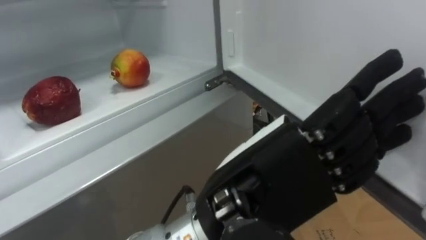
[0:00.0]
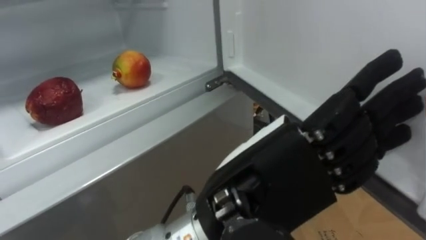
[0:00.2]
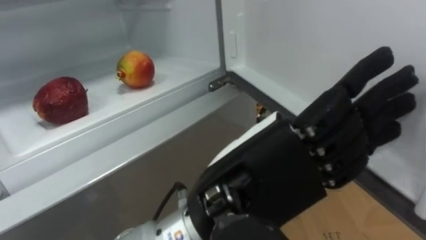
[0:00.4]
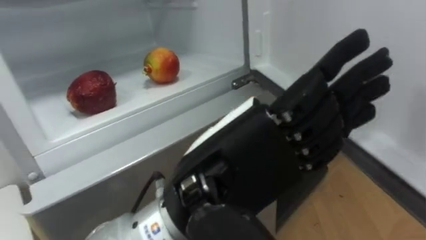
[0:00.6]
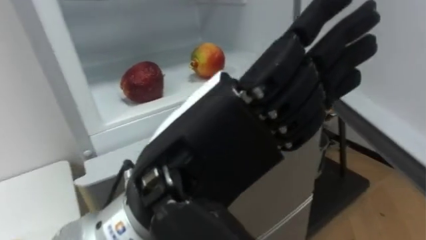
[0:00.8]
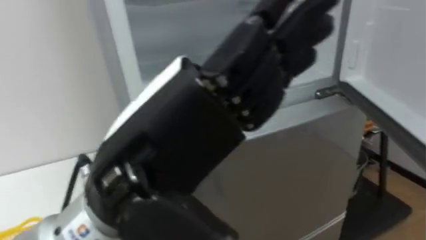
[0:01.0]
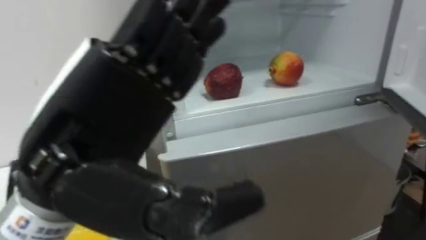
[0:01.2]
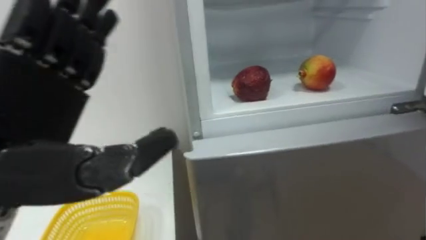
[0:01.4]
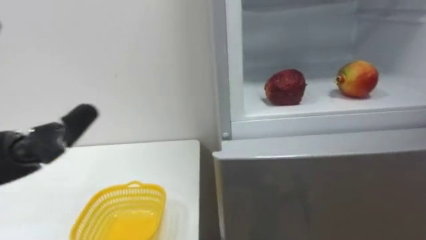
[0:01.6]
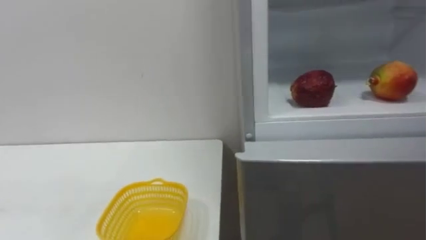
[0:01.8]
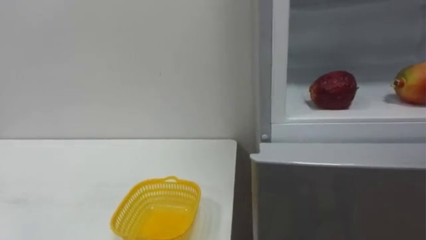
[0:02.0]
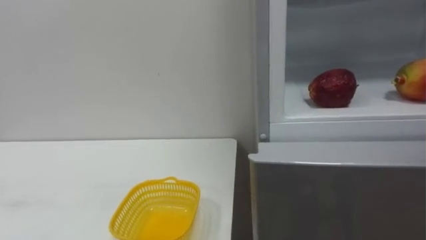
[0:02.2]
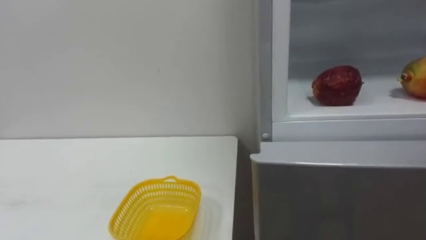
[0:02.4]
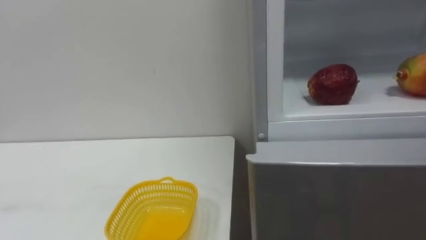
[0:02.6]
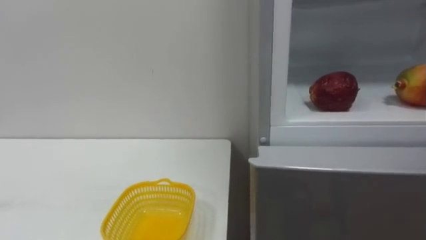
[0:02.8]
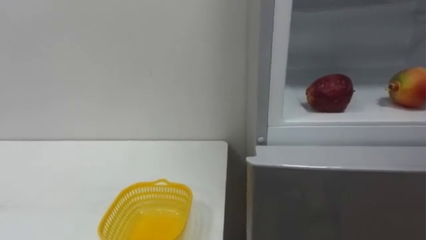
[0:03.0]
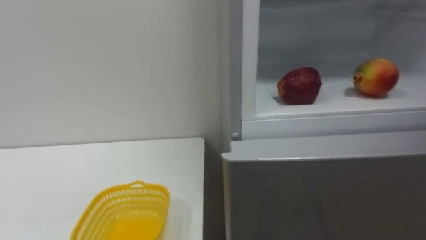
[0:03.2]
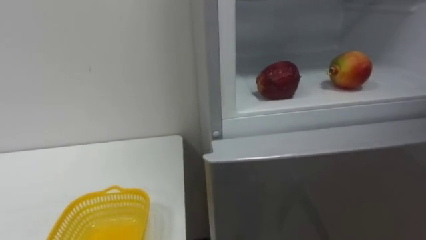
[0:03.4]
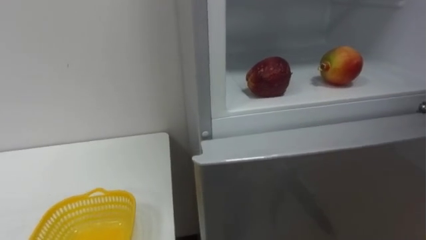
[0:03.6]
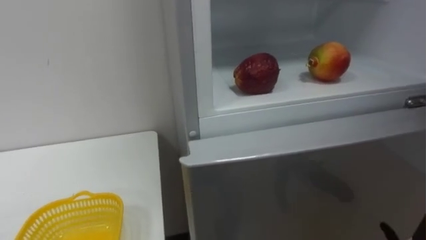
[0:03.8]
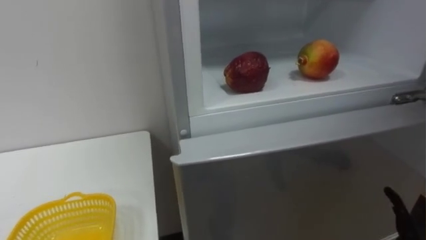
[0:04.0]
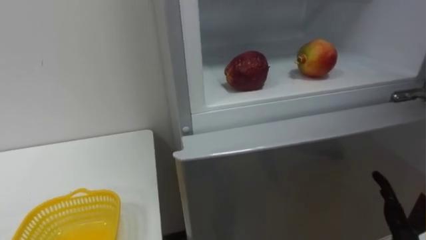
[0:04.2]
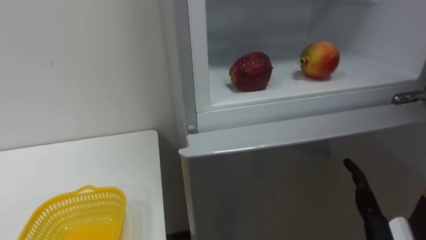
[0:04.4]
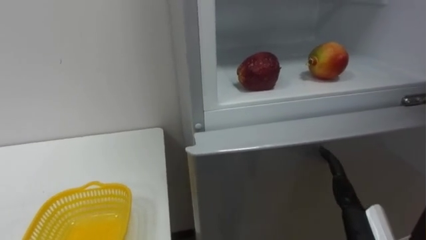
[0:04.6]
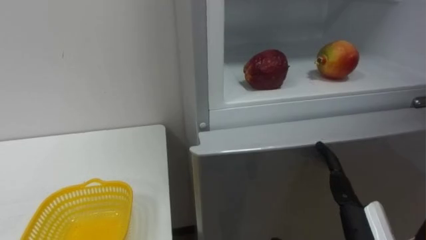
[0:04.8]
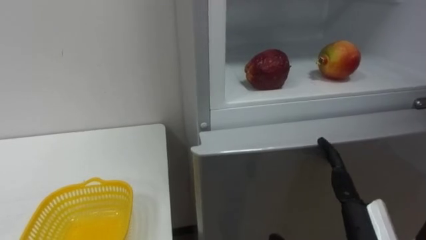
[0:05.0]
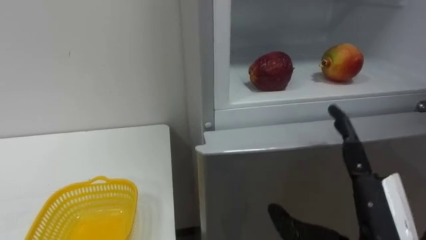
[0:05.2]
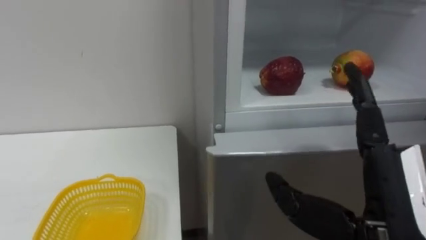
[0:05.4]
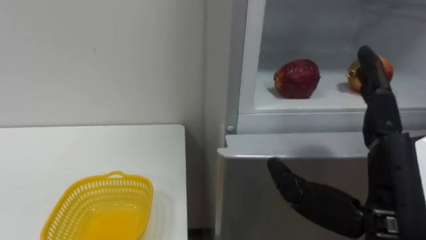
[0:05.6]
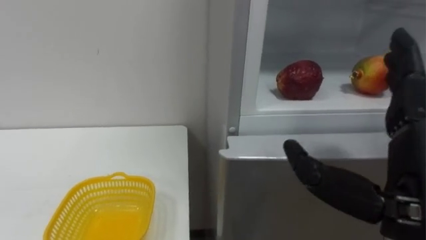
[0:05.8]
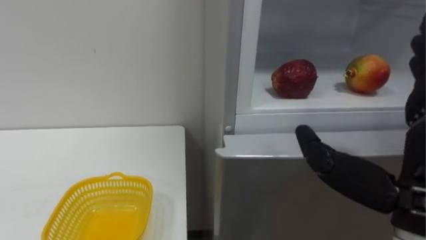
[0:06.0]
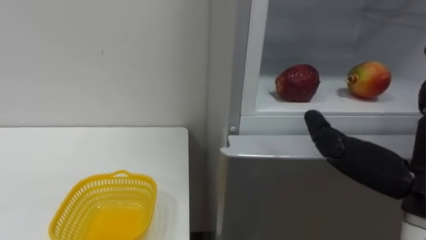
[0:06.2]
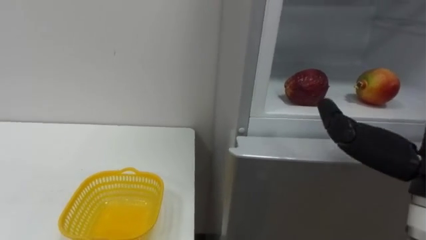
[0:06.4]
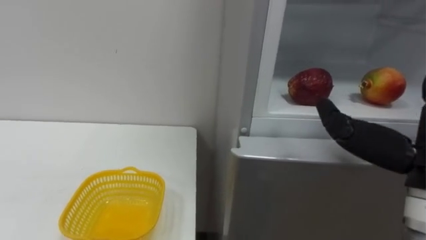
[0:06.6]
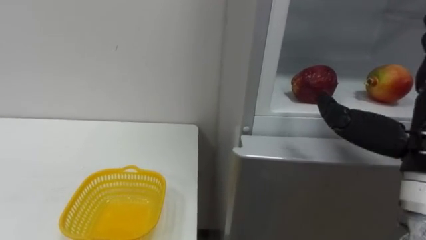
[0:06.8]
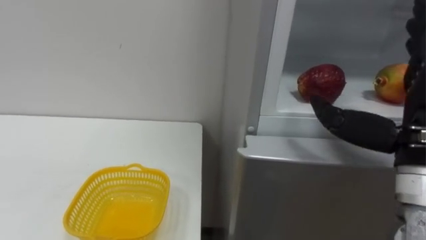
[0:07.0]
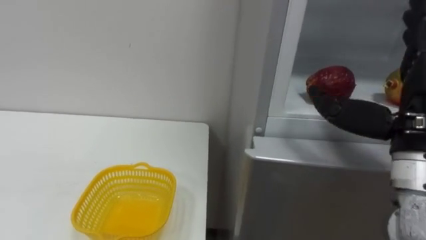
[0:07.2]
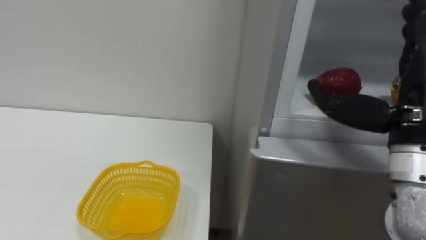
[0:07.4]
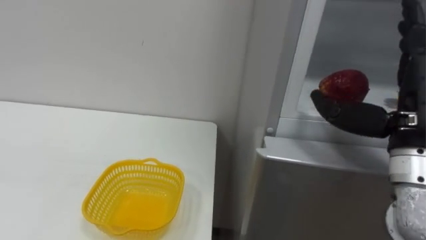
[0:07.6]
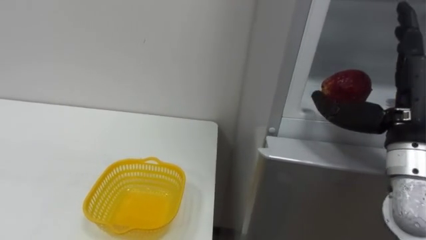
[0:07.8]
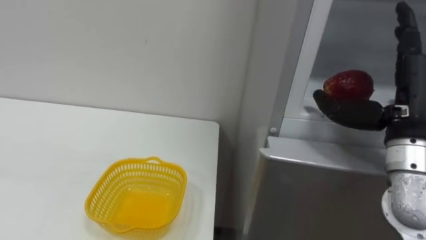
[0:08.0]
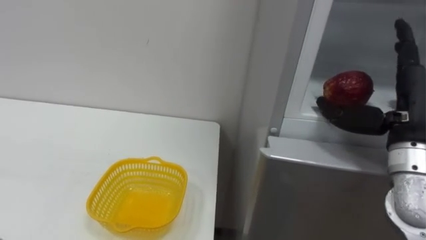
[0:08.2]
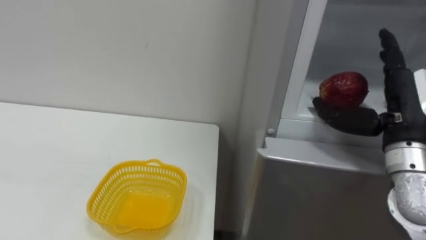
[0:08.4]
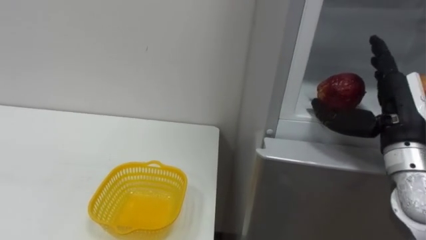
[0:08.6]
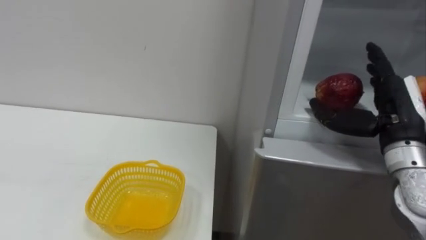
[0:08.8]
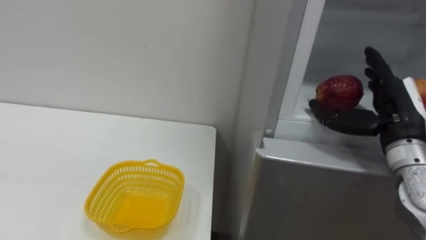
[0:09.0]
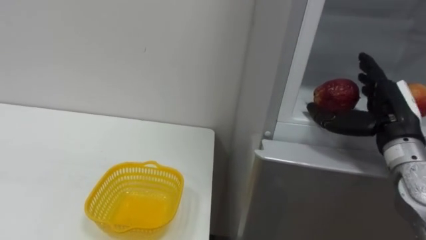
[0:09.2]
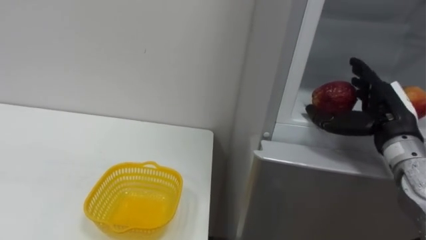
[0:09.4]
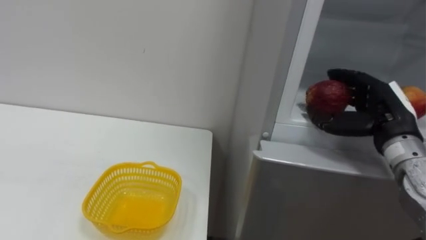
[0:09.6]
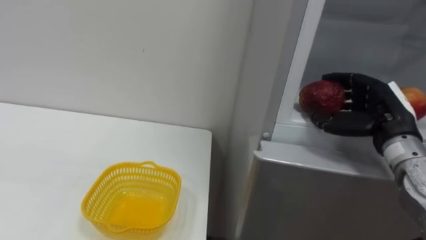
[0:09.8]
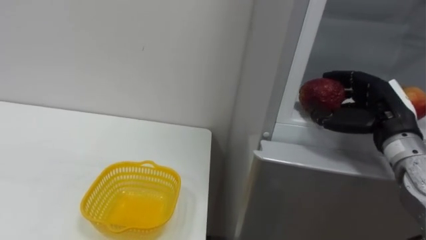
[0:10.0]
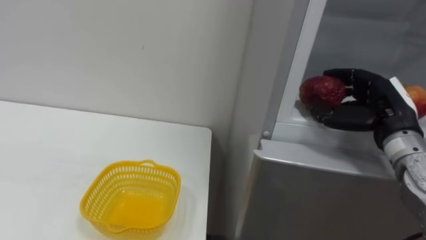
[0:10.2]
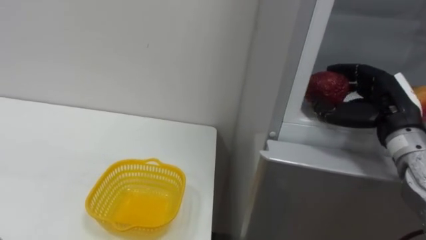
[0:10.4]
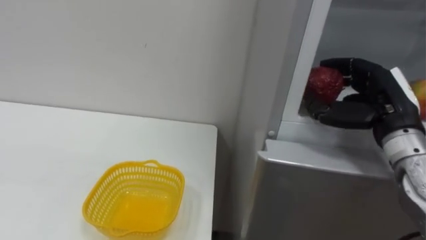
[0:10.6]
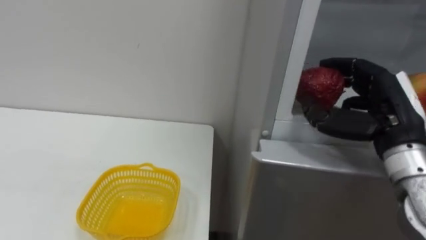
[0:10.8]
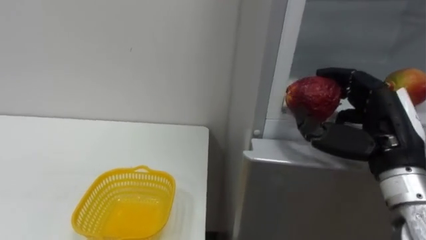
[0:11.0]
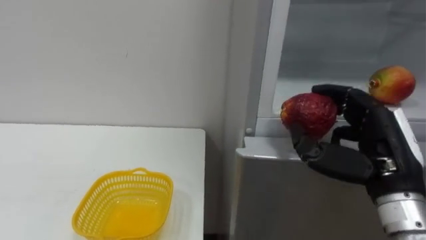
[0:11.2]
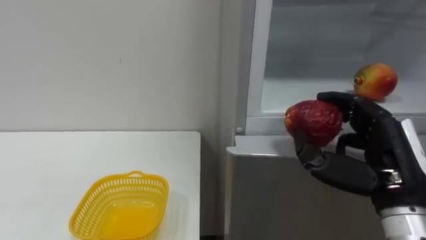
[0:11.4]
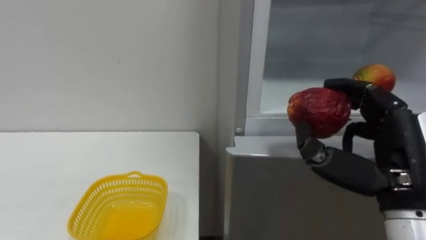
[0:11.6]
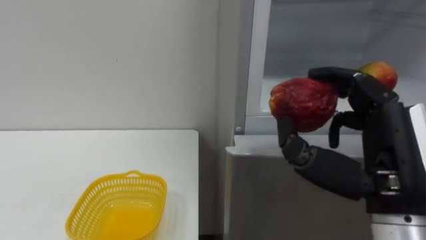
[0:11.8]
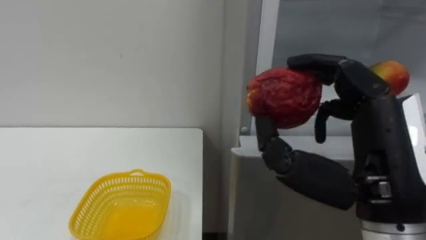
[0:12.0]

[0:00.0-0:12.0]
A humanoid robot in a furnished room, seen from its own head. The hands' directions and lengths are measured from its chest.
Task of the whole recording: Open the refrigerator door, take out the apple and the pomegranate, place them in the fruit basket on the left, and close the refrigerator door.
0:07.6 to 0:09.0: The right hand moves forward, roughly 5 cm.
0:09.0 to 0:10.4: The right hand closes up.
0:10.4 to 0:12.0: The right hand is displaced backward and to the left by approximately 20 cm.

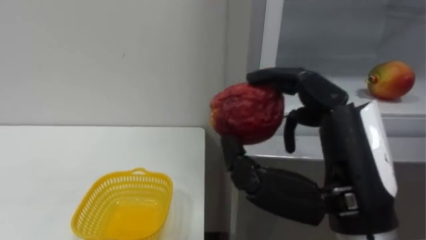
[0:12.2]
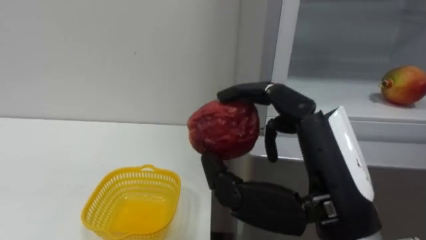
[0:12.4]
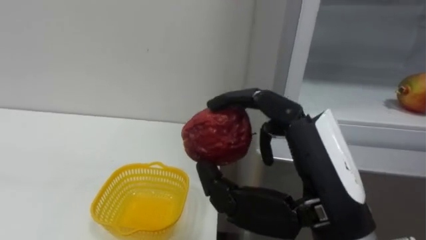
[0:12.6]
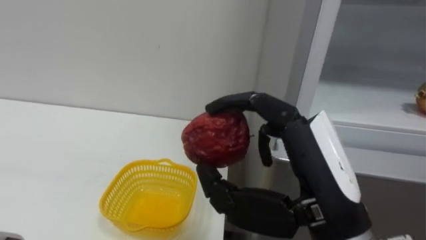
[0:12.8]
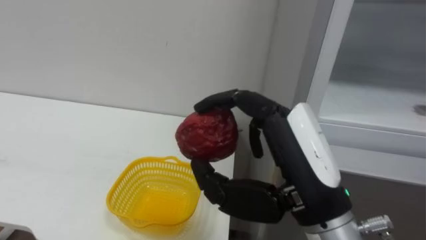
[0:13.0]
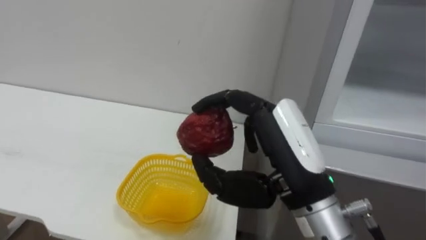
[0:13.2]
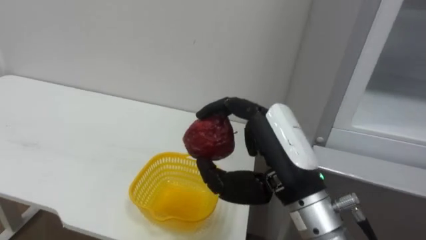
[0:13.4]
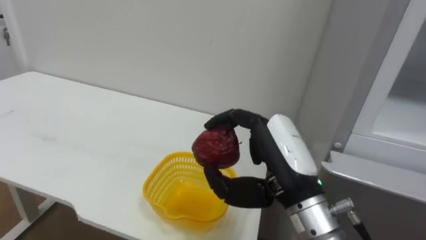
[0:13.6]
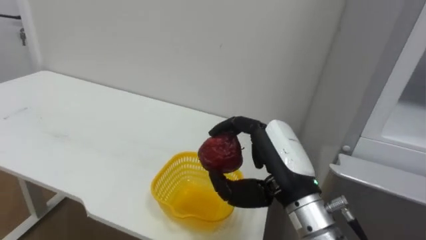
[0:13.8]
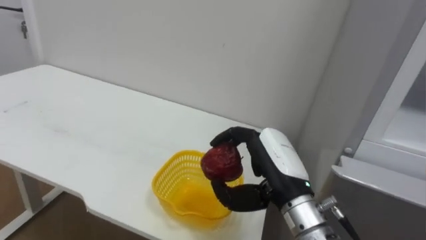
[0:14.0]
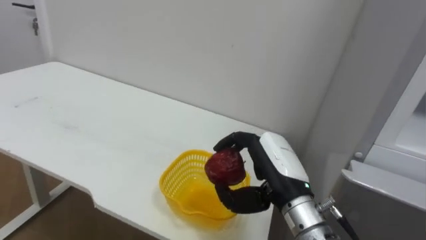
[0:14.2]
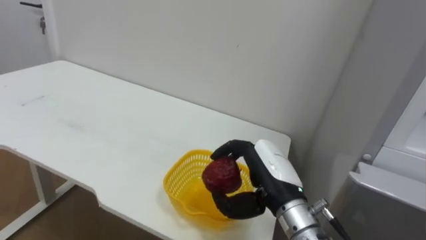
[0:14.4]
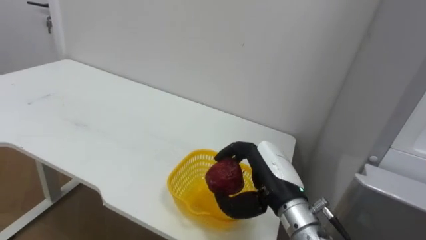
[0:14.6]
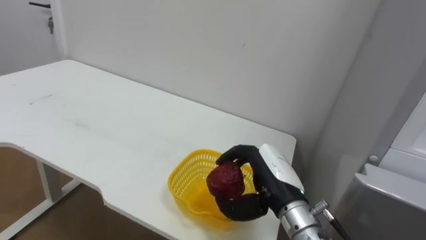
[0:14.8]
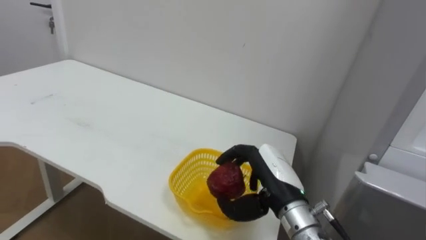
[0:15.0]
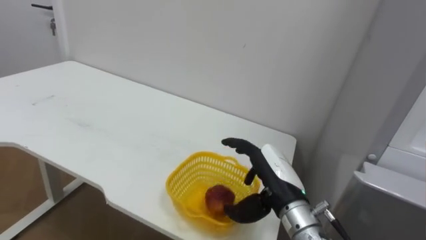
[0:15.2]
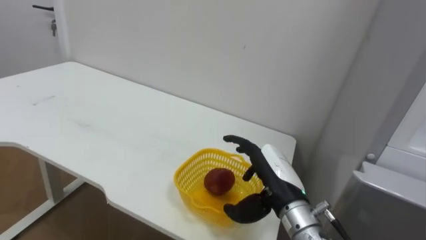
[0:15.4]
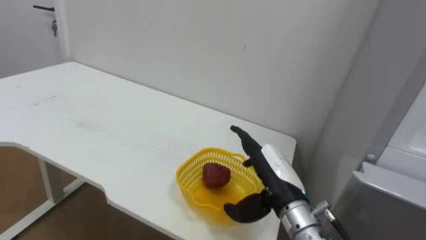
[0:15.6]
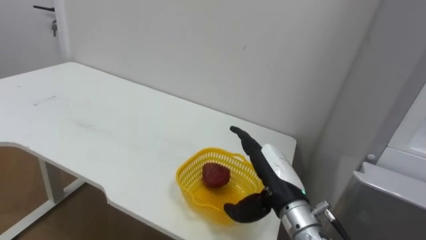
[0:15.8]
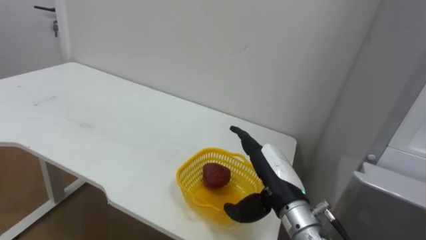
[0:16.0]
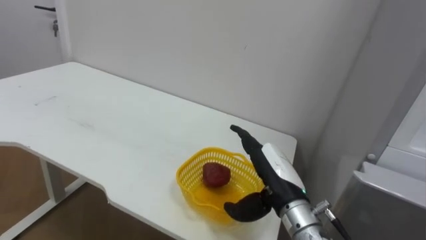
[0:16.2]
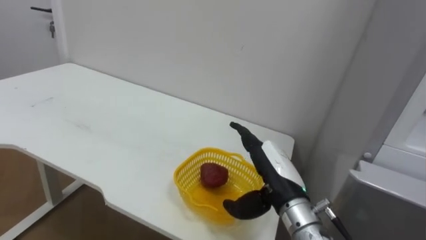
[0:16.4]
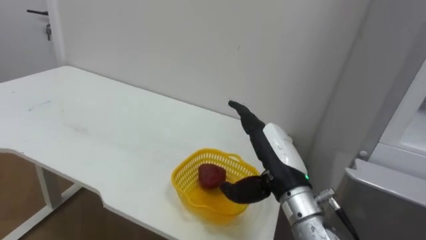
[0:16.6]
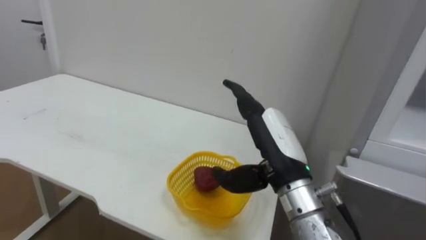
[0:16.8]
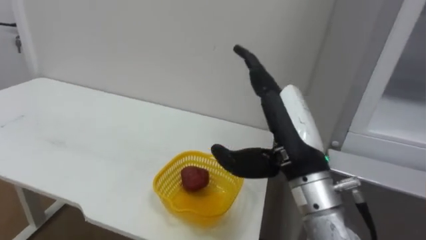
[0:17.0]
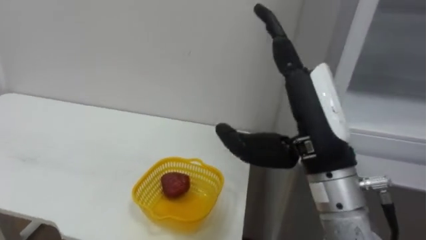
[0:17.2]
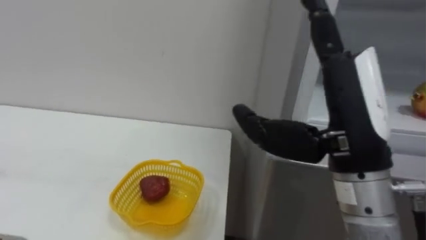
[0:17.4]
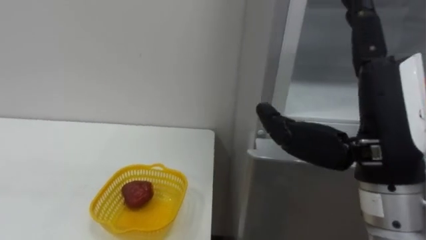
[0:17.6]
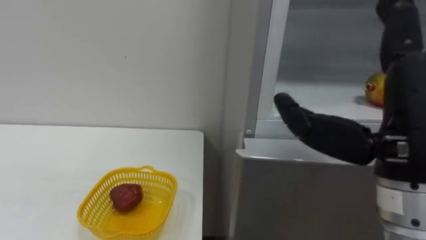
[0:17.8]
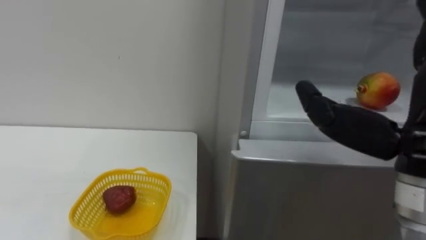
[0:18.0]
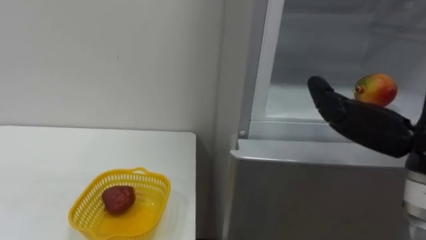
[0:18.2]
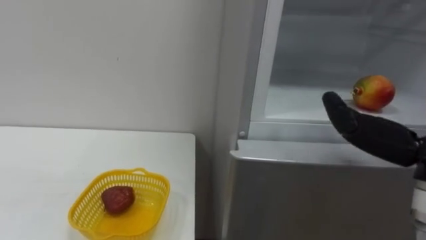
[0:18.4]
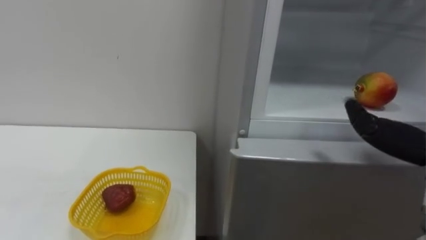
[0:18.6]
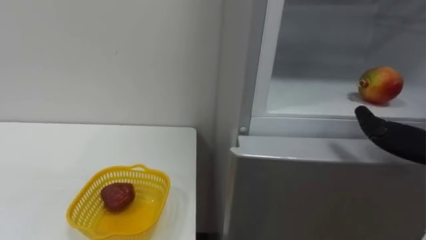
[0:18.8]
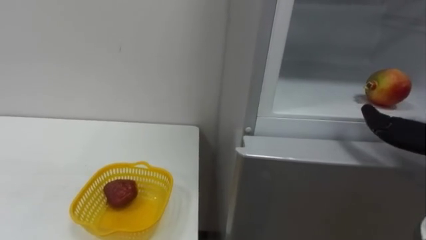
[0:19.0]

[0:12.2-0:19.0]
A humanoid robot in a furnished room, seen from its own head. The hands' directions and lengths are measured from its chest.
Task of the whole recording: Open the refrigerator door, take out the apple and the pomegranate, place them in the fruit basket on the left, and close the refrigerator door.
0:12.2 to 0:13.6: The right hand shifts approximately 10 cm forward, downward and to the left.
0:13.6 to 0:15.0: The right hand shifts about 10 cm downward and forward.
0:15.0 to 0:16.2: The right hand opens.
0:16.2 to 0:17.6: The right hand moves upward and backward, approximately 20 cm.
